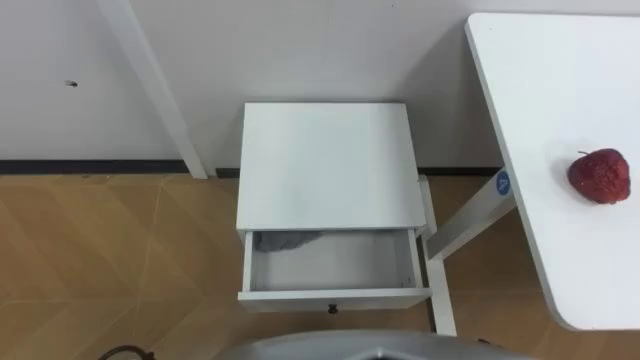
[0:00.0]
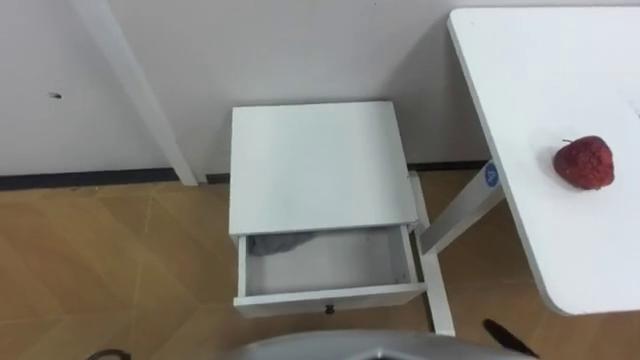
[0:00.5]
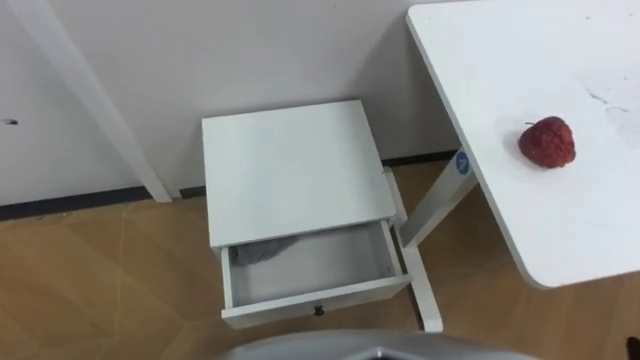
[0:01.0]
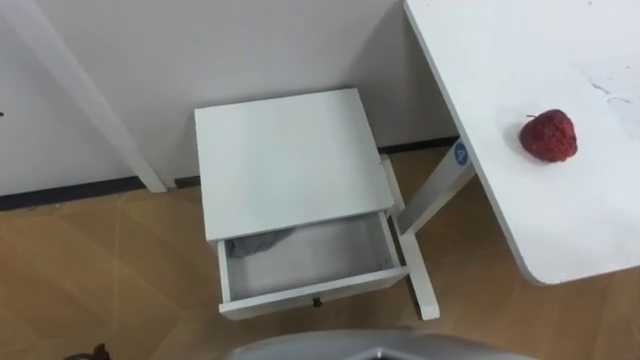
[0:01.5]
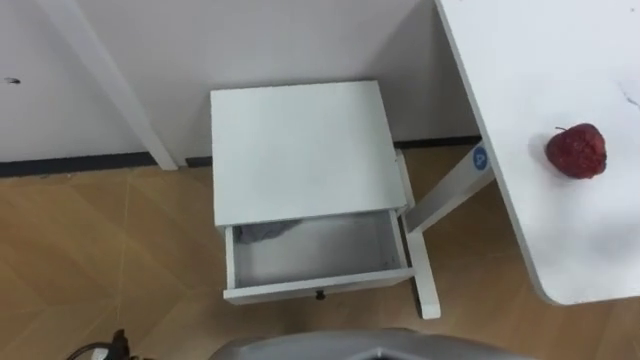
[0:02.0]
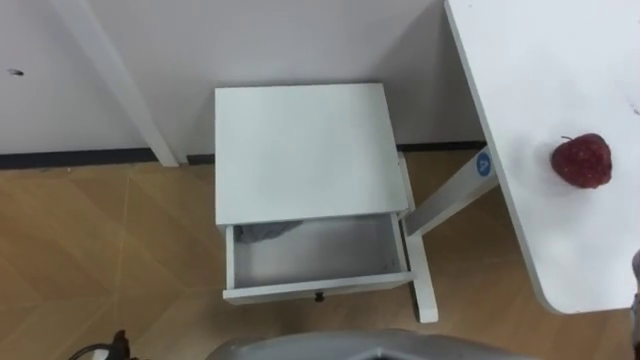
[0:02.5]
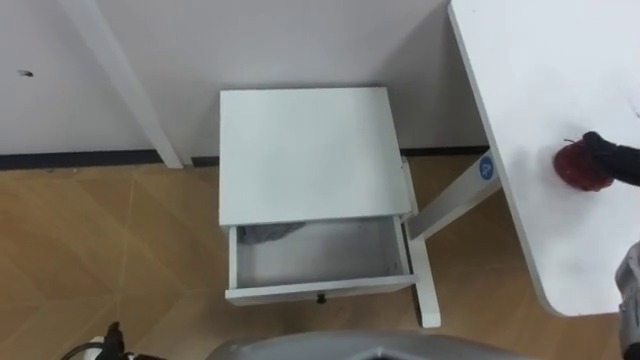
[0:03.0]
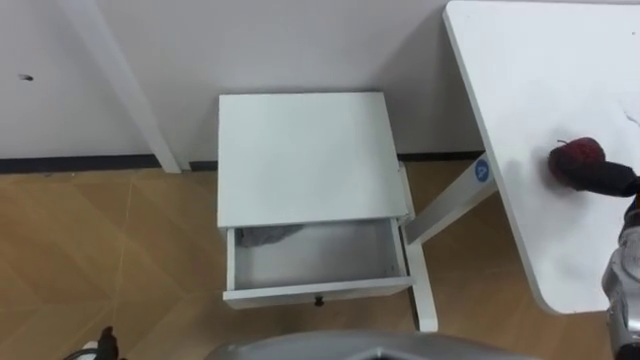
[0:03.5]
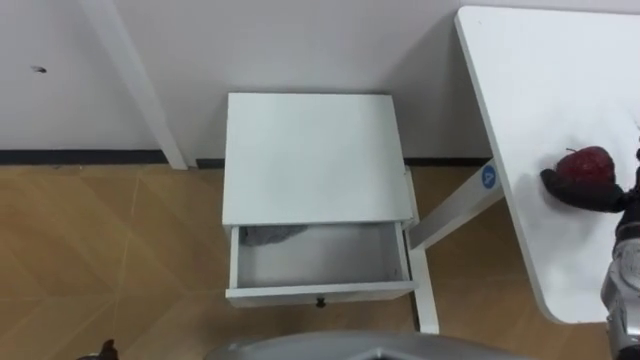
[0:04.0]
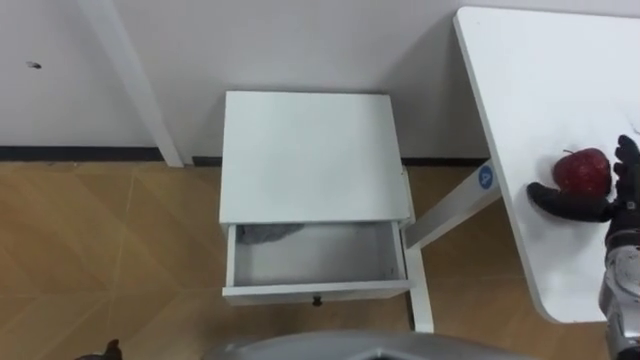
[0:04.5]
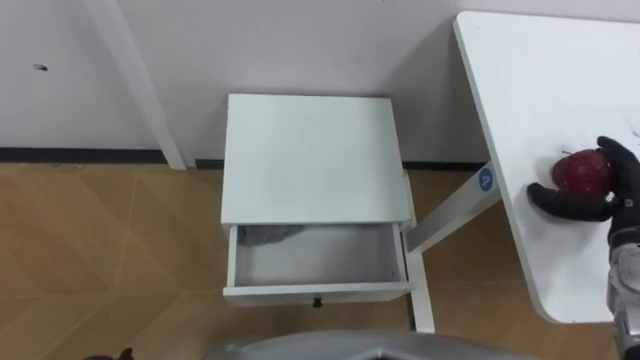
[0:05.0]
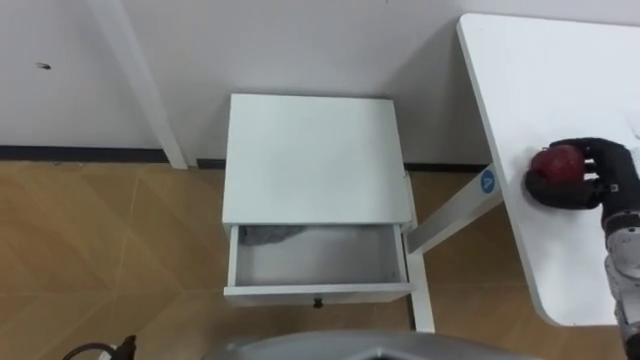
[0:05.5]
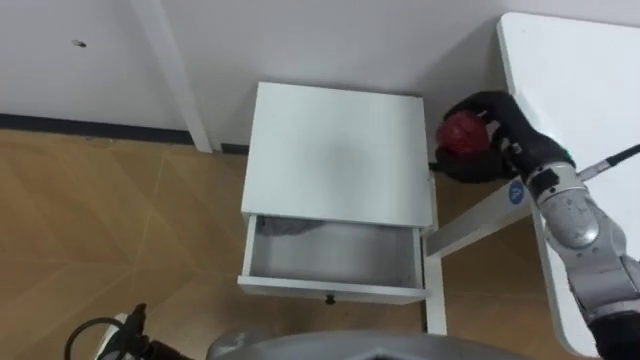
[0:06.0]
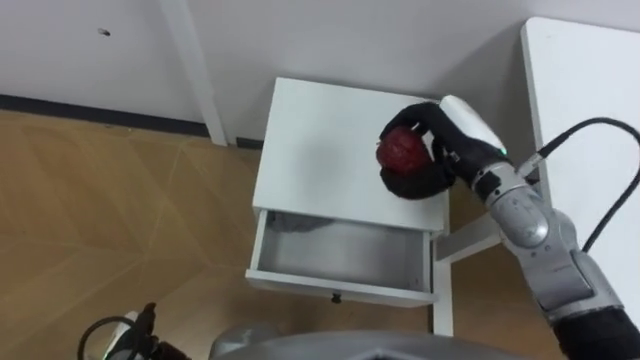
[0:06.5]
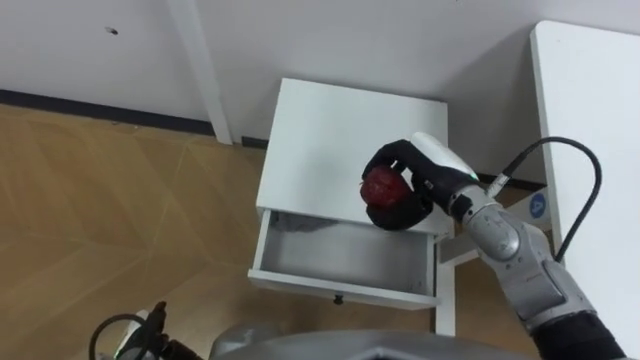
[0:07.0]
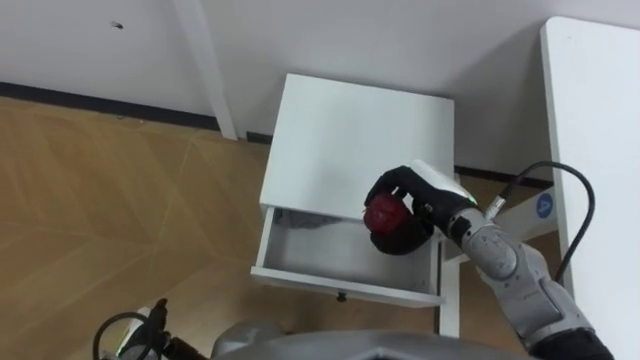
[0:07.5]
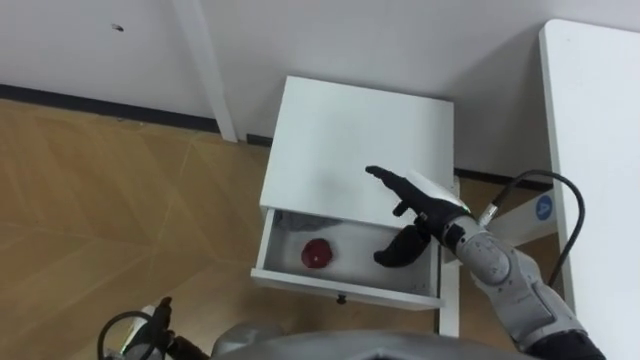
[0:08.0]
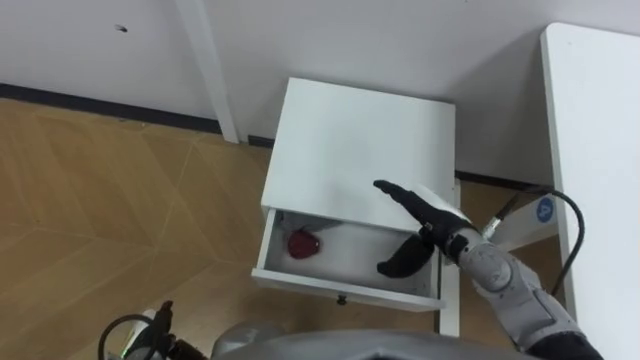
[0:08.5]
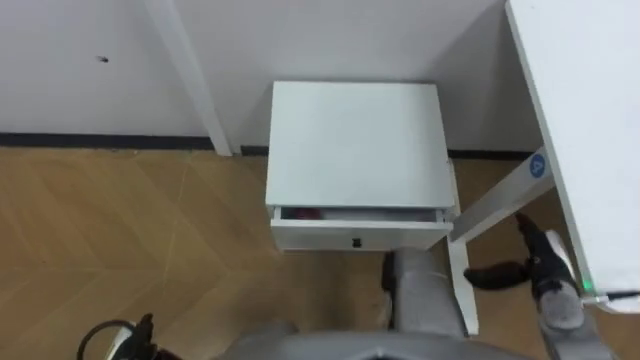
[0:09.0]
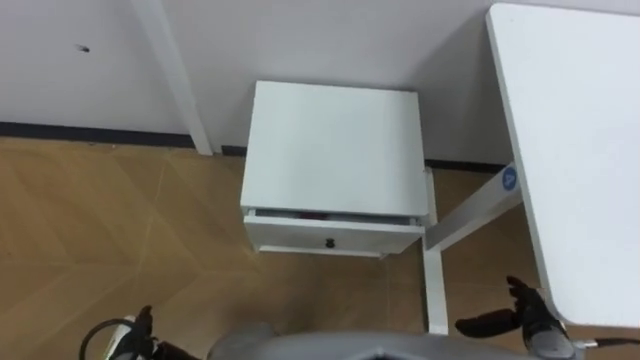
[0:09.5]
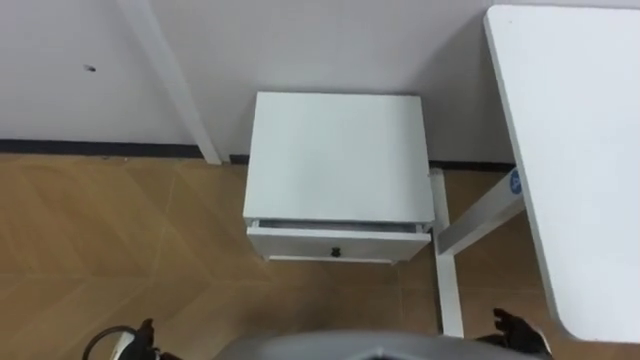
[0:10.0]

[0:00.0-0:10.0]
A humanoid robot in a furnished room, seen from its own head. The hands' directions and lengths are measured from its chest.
Task of the whole recording: Pick up the apple from the table, put it in the drawer, and close the drawer with leg.
0:06.0 to 0:08.0: The right hand moves to the left, downward and backward, approximately 15 cm, and opens its fingers.
0:08.0 to 0:10.0: The right hand is displaced backward, to the right and downward by roughly 25 cm.

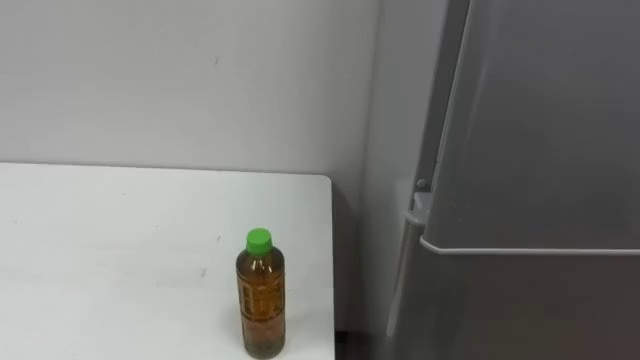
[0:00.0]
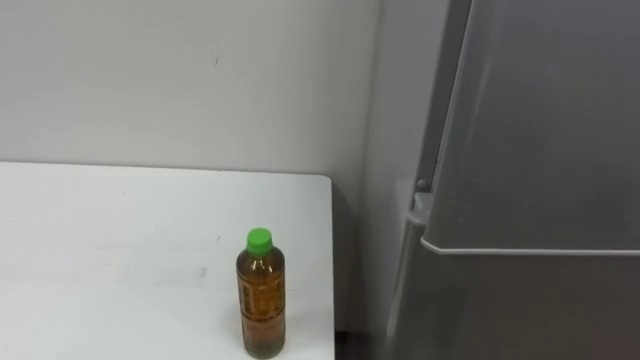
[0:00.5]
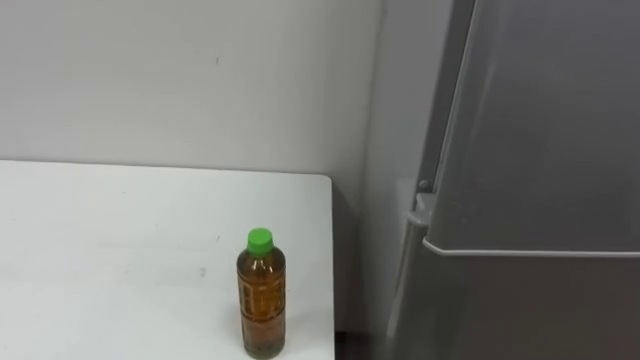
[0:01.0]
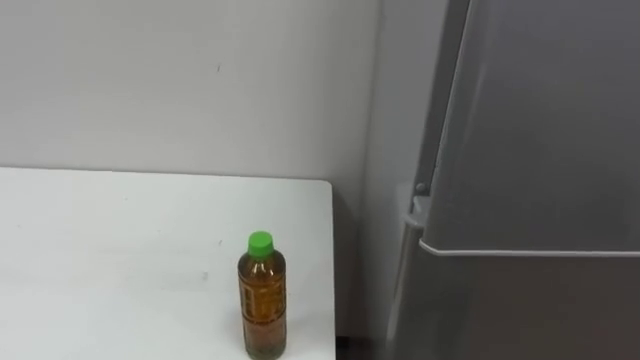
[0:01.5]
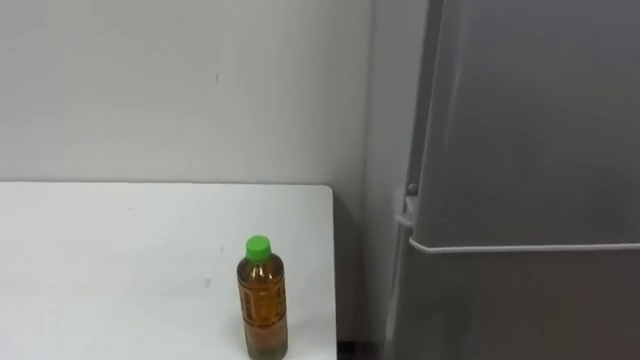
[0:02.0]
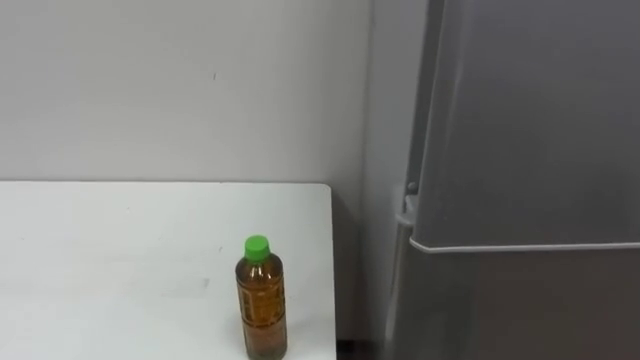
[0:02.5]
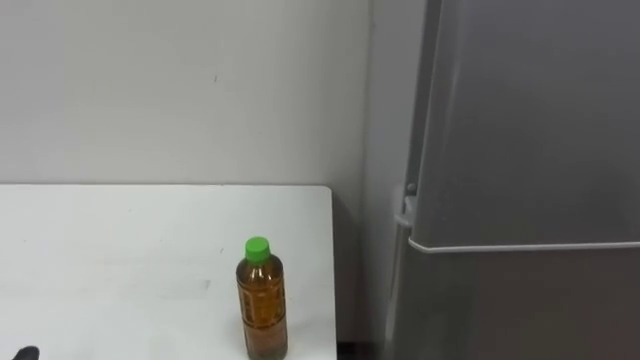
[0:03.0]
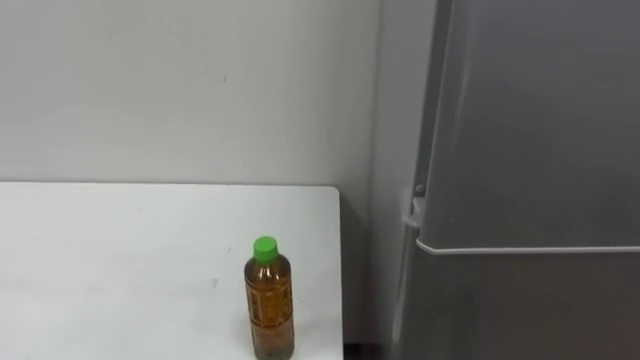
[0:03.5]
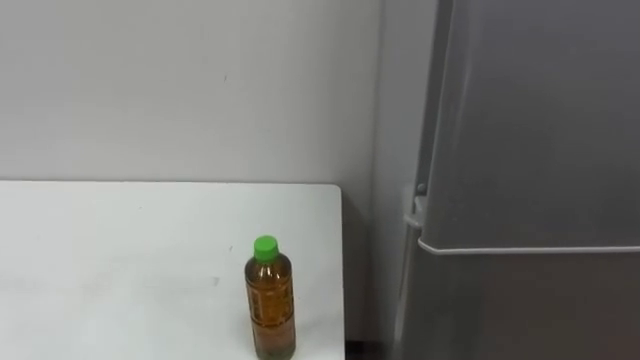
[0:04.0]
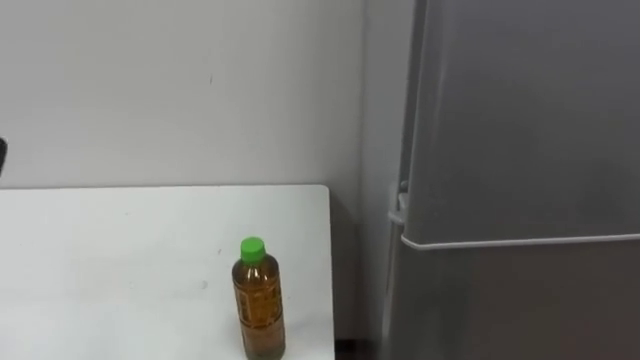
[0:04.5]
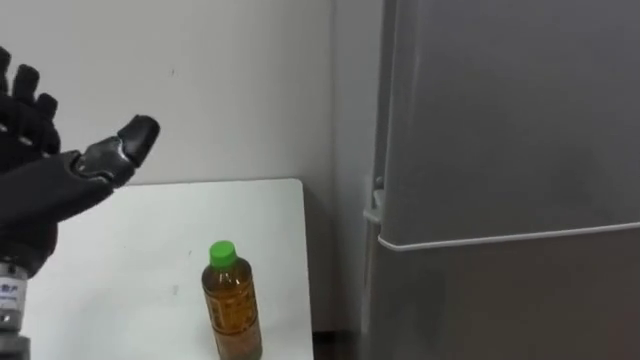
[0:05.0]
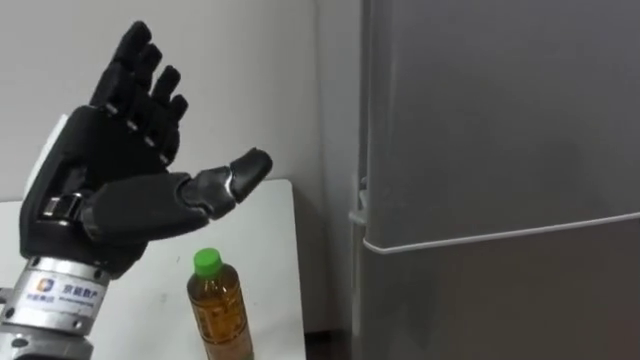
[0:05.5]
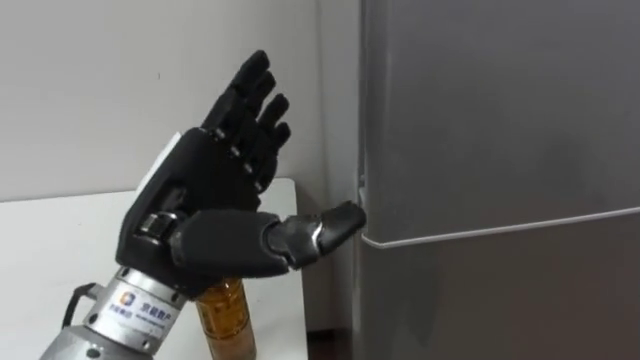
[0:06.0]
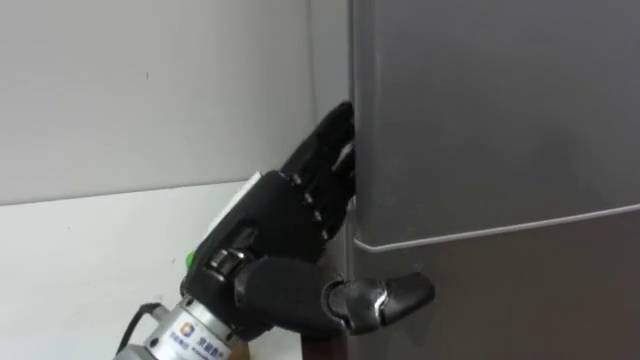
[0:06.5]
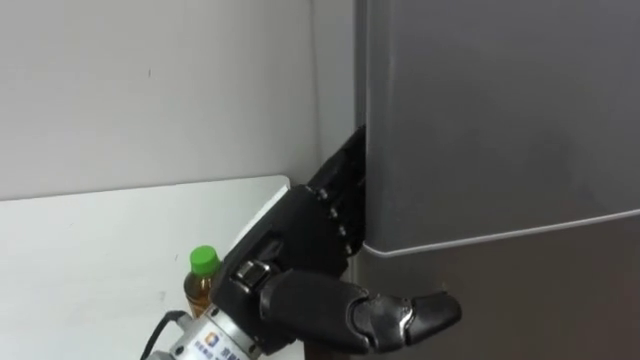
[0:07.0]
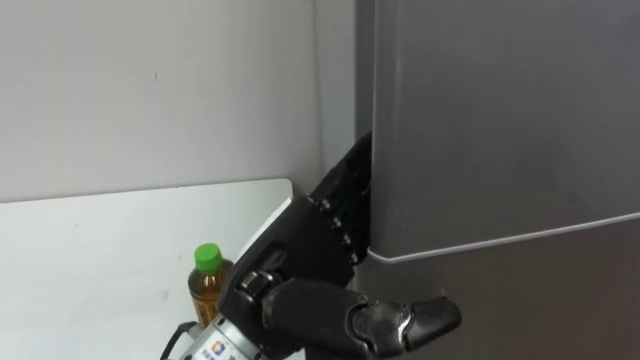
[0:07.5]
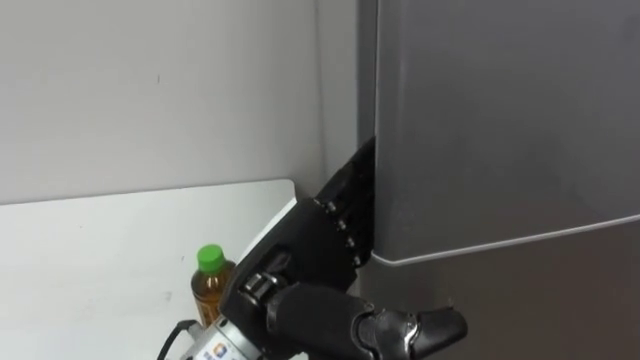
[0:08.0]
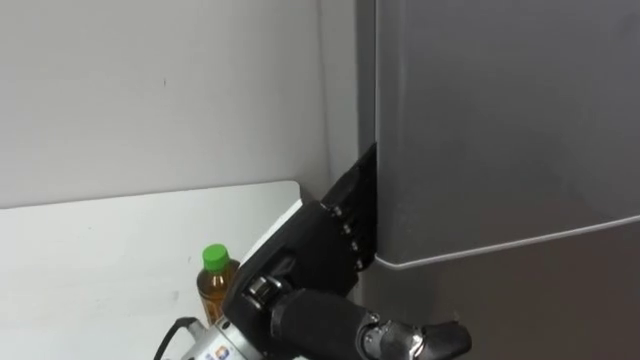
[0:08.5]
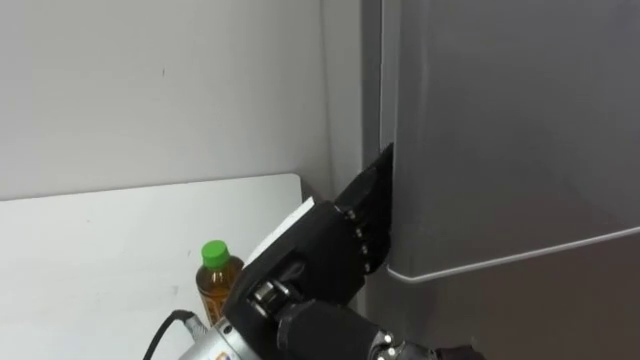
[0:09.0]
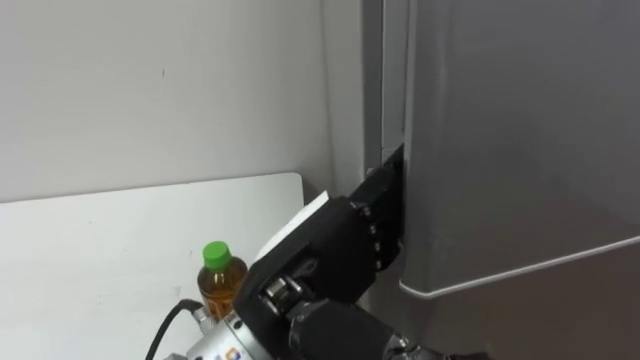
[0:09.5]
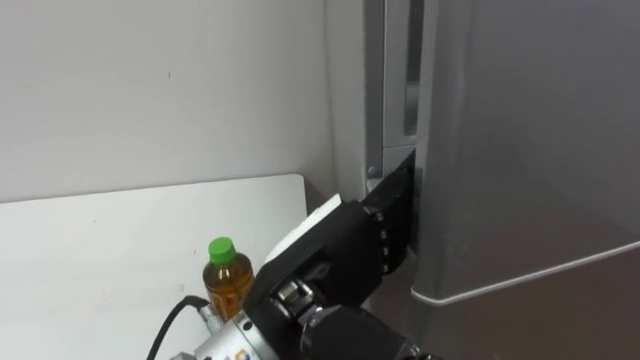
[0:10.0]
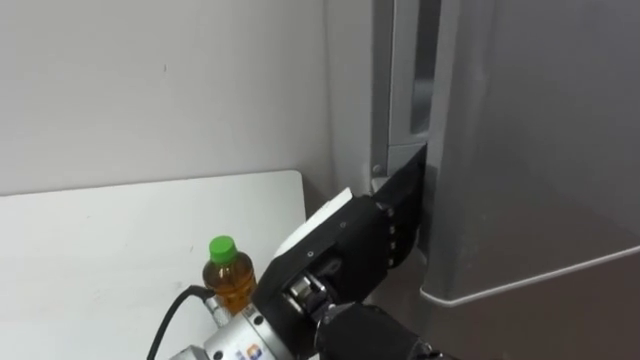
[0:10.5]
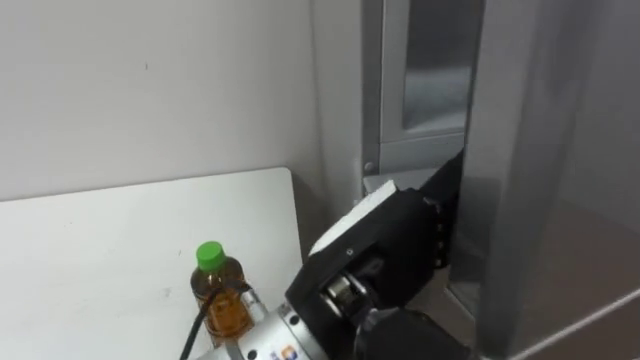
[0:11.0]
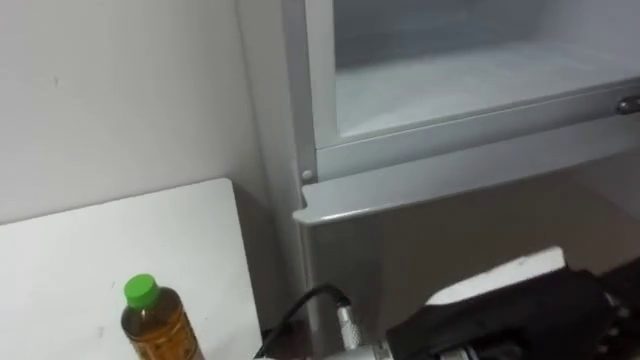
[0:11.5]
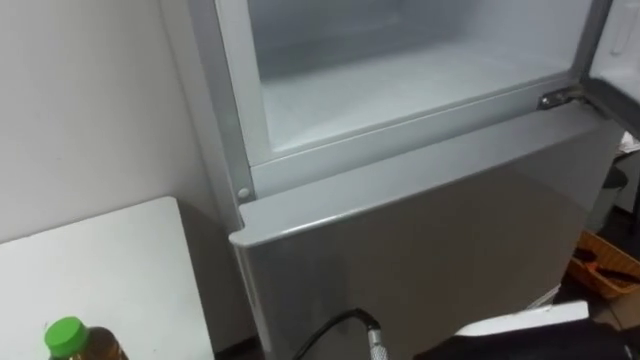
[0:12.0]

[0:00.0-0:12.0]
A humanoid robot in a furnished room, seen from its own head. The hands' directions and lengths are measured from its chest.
Task of the whole recording: Open the upper refrigerator door, put the drink from the table into the refrigerator, and then close the refrigerator door.
0:06.0 to 0:08.0: The left hand travels to the right by roughly 10 cm.
0:10.0 to 0:12.0: The left hand heads to the right and backward, covering roughly 15 cm.
